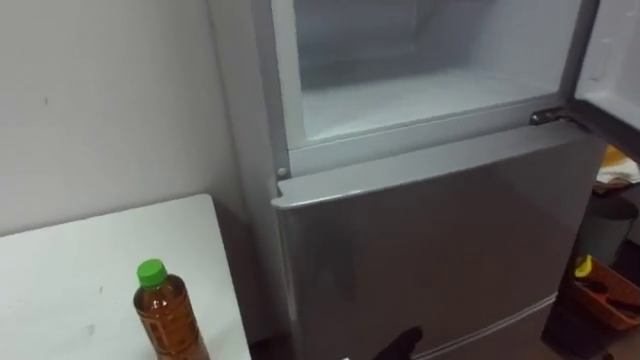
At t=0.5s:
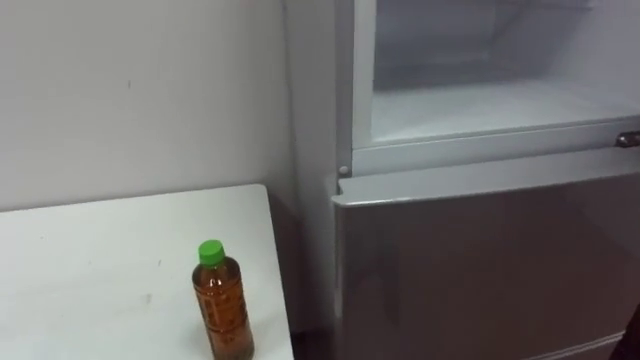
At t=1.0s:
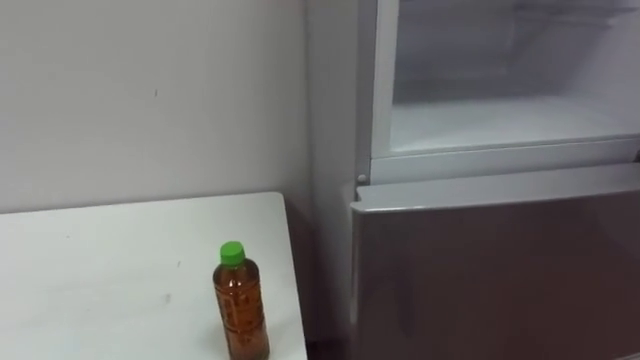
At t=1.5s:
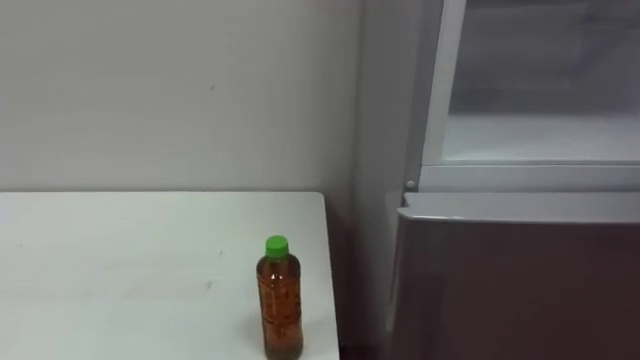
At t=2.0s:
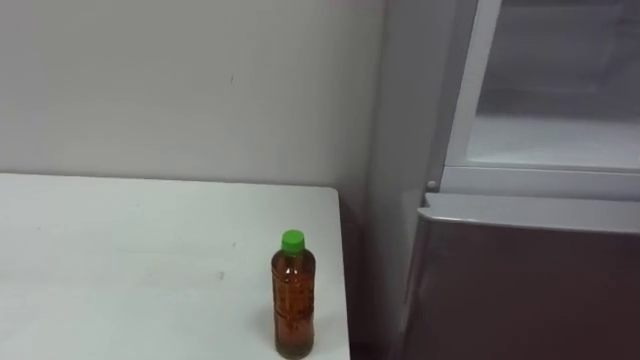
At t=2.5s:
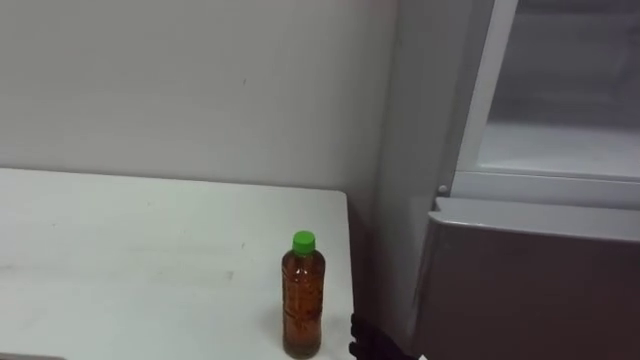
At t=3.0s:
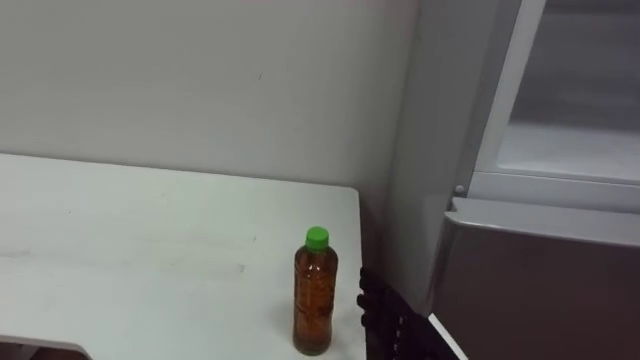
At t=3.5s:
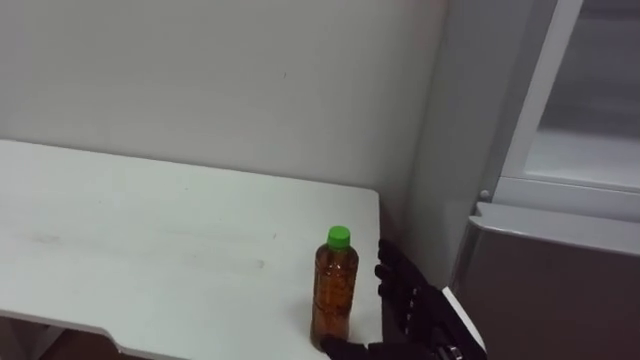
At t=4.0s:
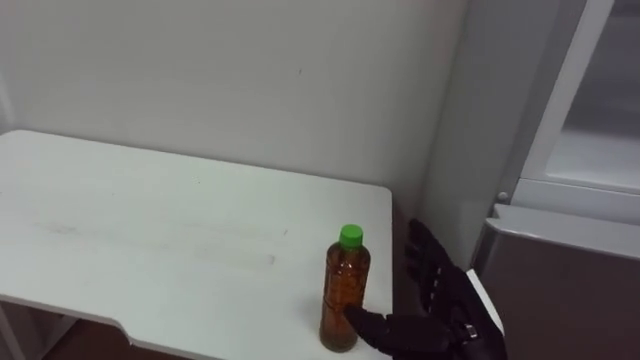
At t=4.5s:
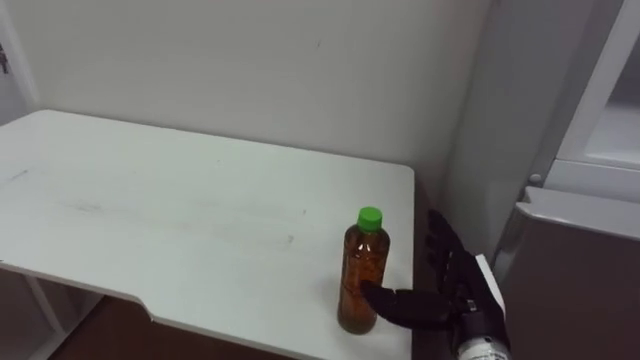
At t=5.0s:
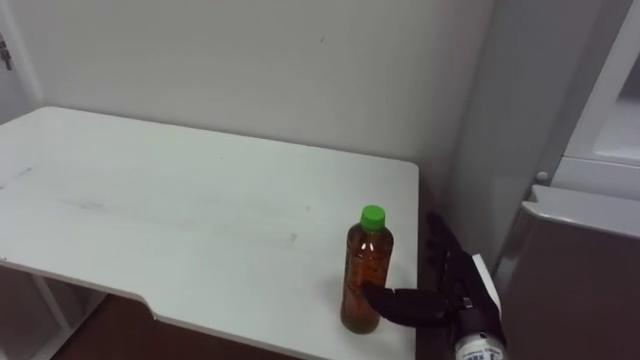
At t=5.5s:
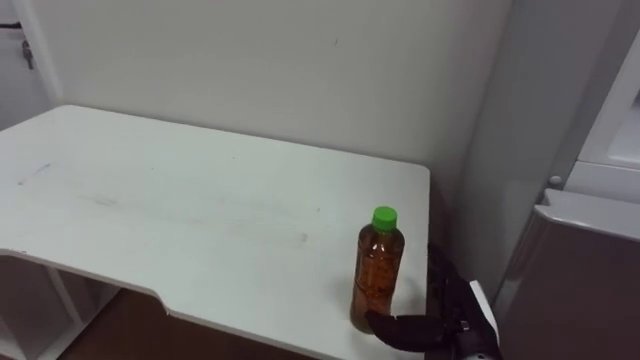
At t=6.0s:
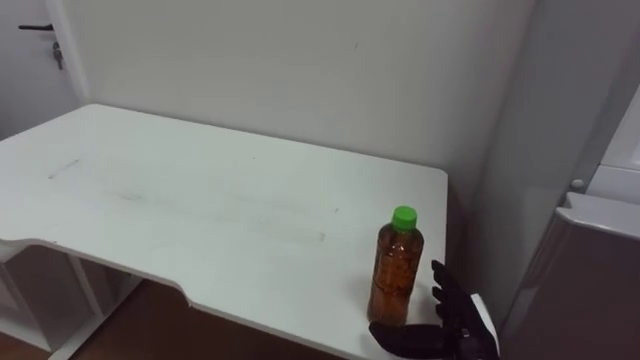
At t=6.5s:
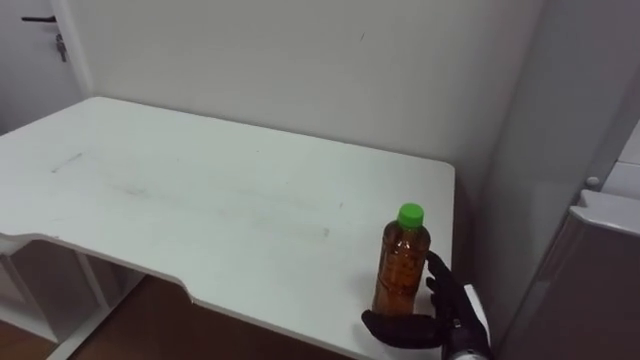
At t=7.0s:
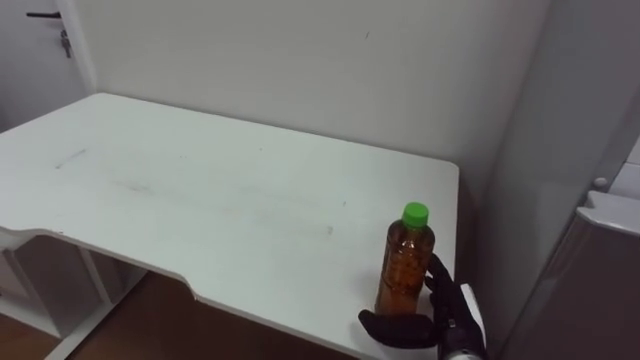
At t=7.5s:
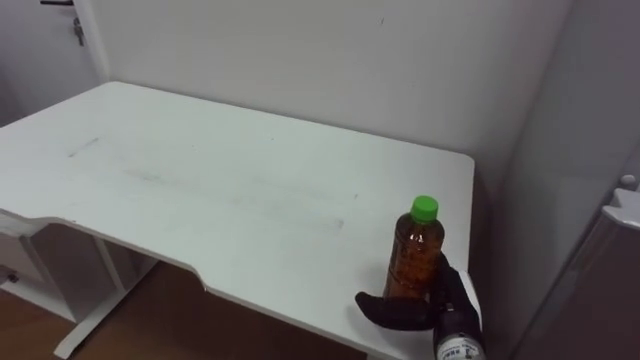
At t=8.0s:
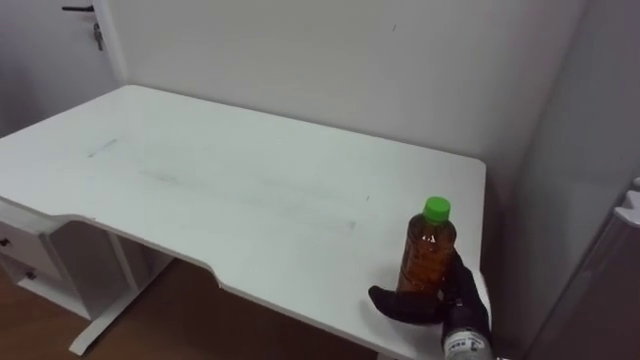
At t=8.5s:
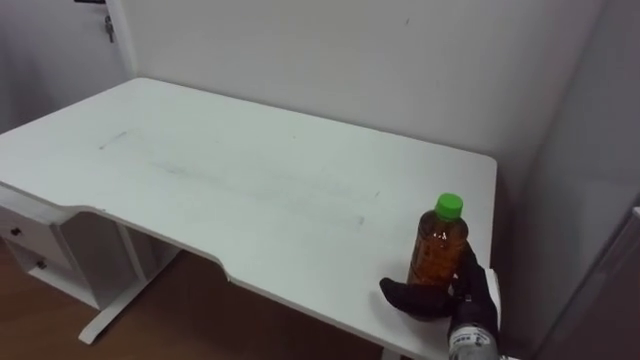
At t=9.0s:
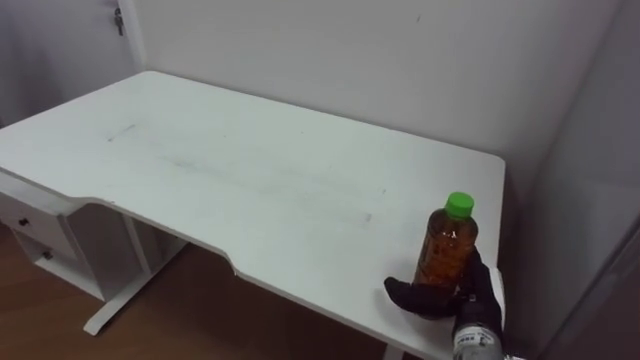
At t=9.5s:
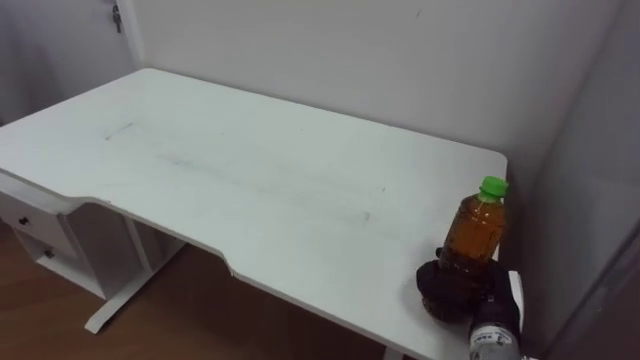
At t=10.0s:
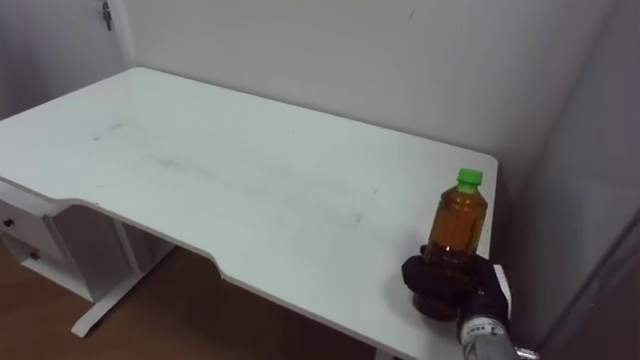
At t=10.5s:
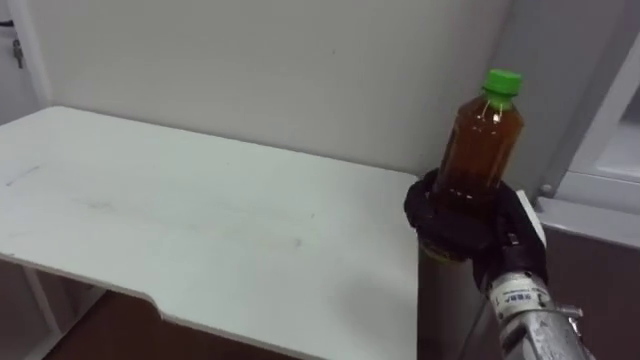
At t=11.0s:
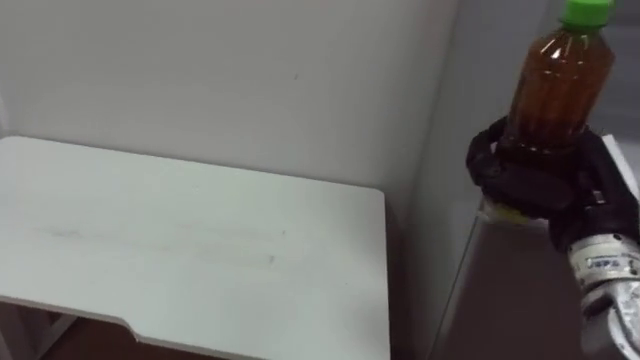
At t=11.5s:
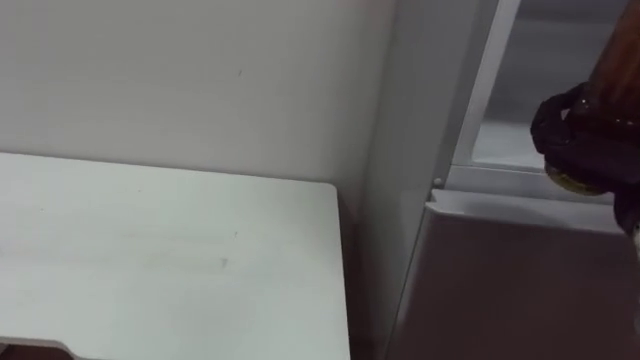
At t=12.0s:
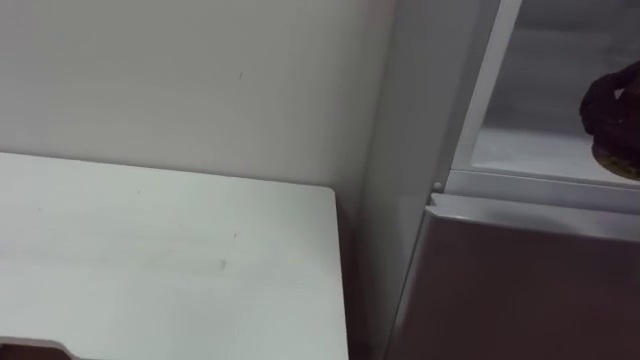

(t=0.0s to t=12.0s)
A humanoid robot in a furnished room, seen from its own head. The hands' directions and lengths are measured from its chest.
Task of the whole recording: Open the upper refrigerator door, put the drink from the table into the refrigerator, and then close the refrigerator door.
t=4.0s - t=6.0s: The right hand shifts approximately 5 cm downward.
t=8.0s - t=10.0s: The right hand closes its fingers.

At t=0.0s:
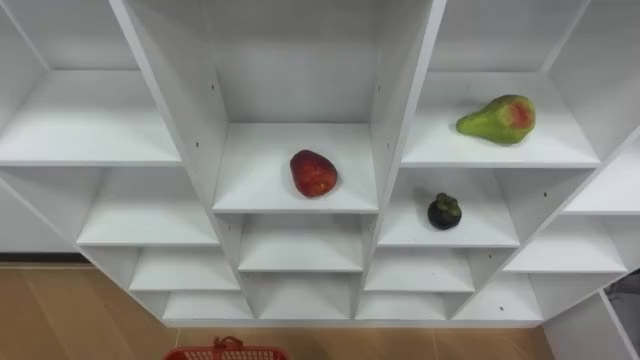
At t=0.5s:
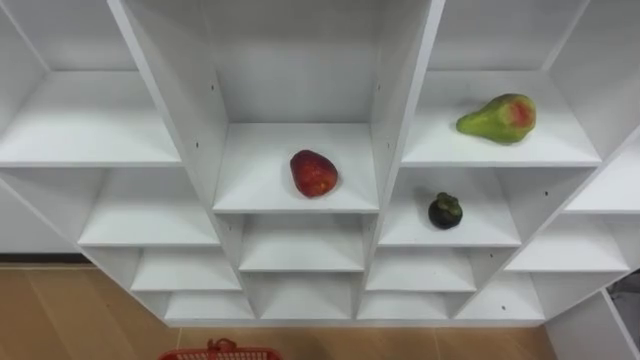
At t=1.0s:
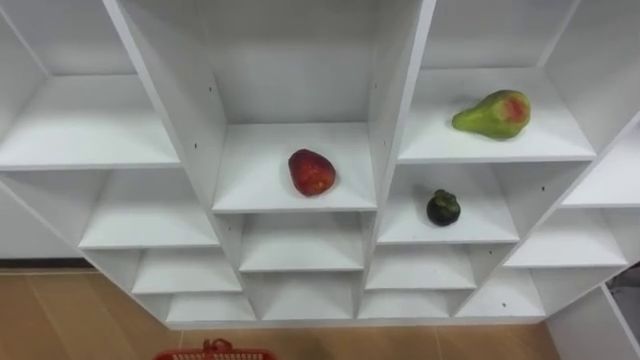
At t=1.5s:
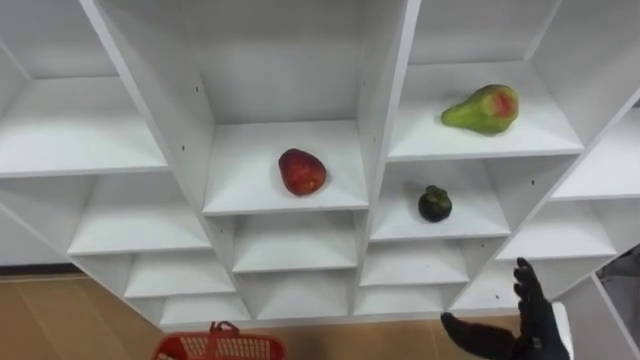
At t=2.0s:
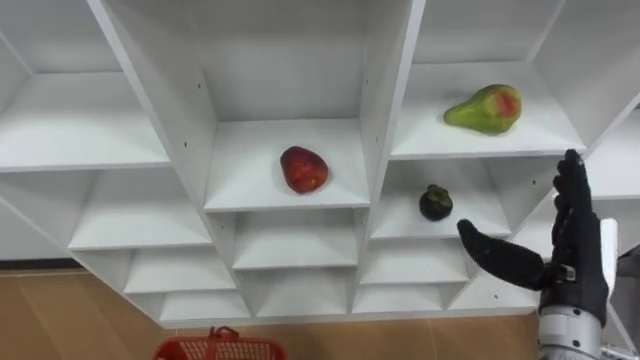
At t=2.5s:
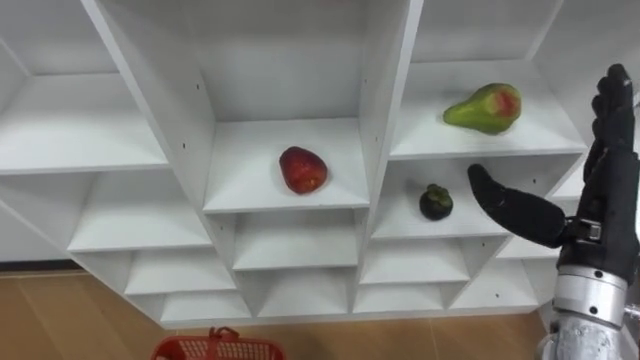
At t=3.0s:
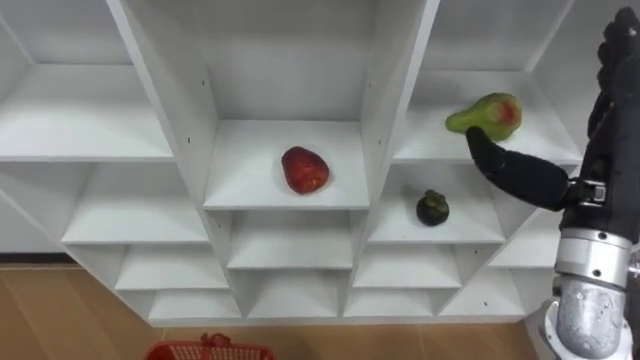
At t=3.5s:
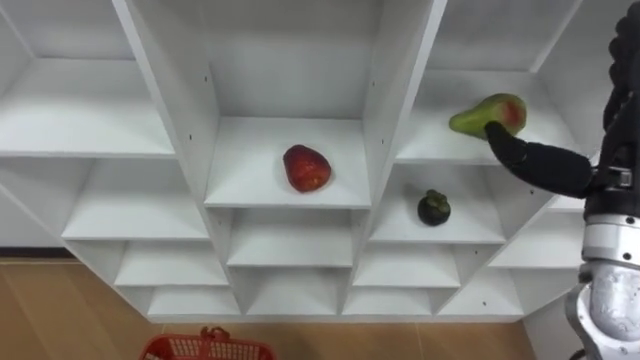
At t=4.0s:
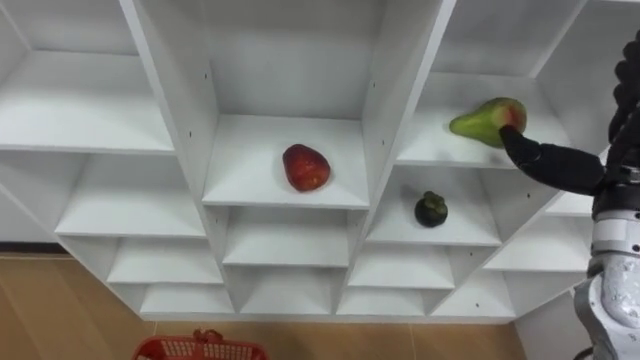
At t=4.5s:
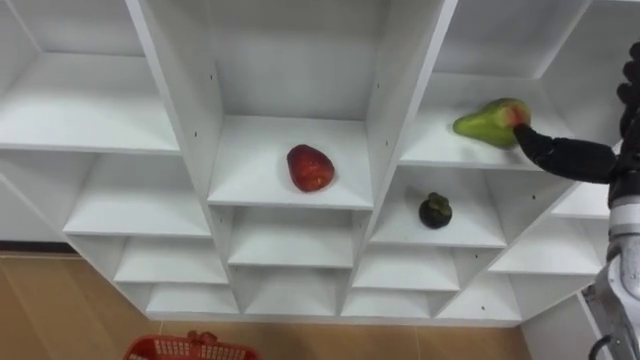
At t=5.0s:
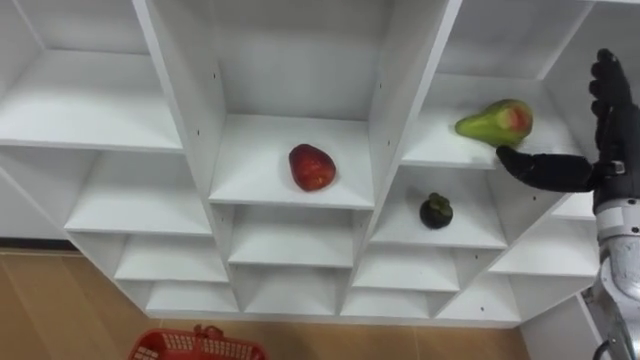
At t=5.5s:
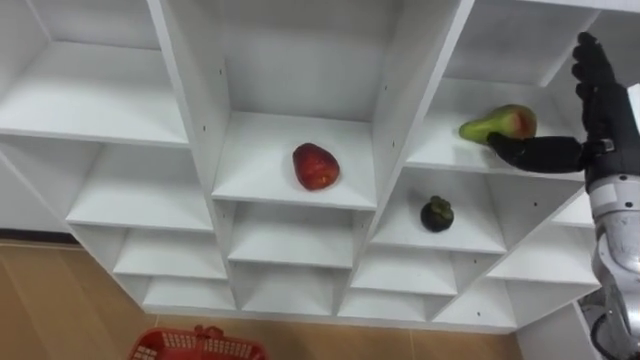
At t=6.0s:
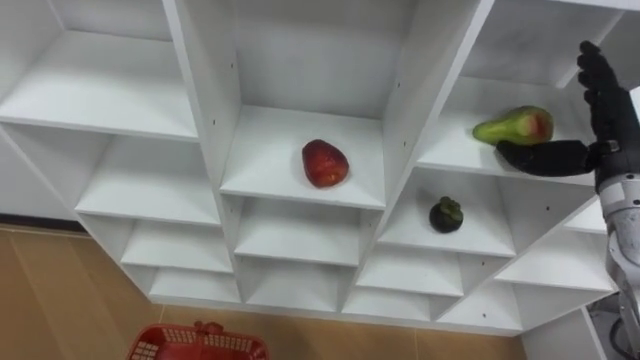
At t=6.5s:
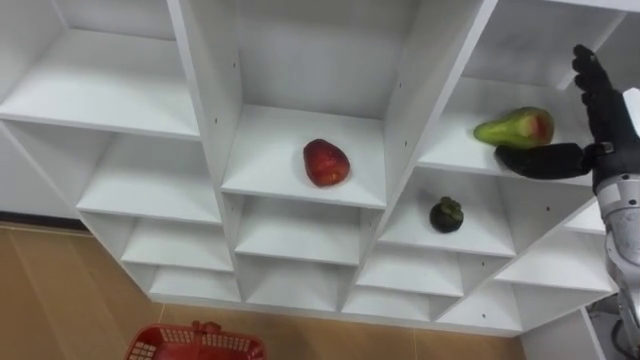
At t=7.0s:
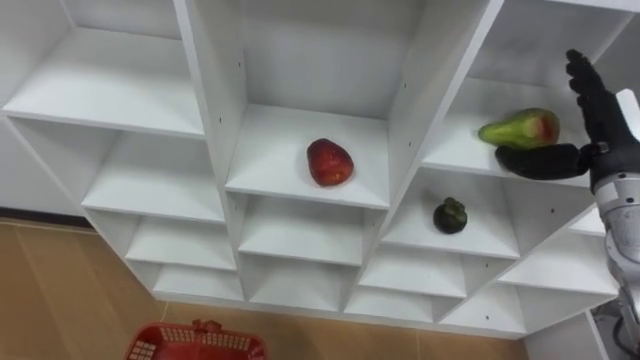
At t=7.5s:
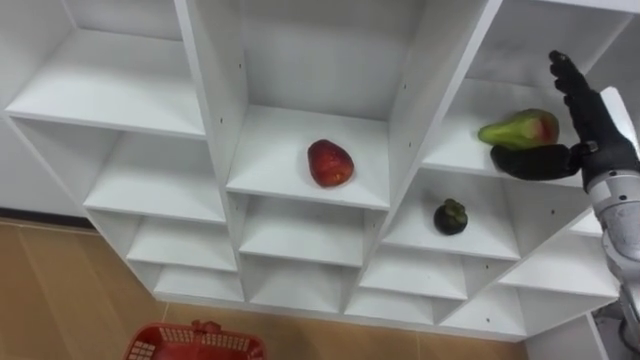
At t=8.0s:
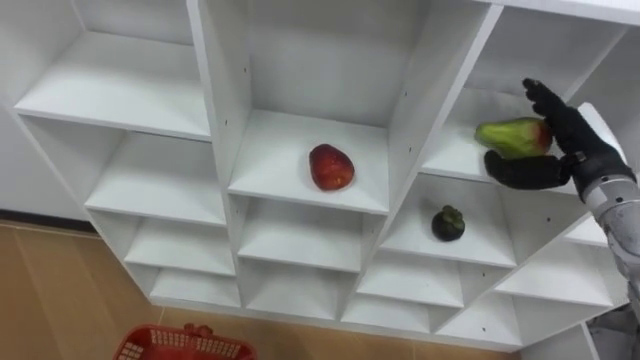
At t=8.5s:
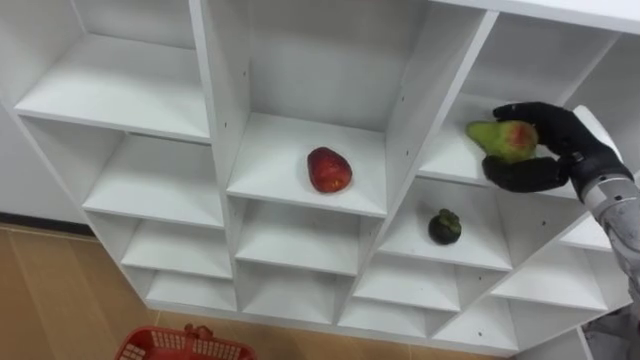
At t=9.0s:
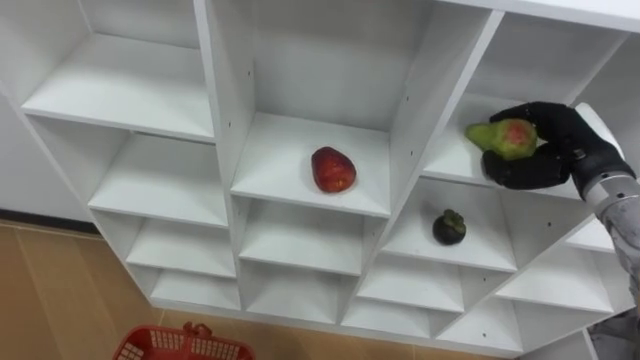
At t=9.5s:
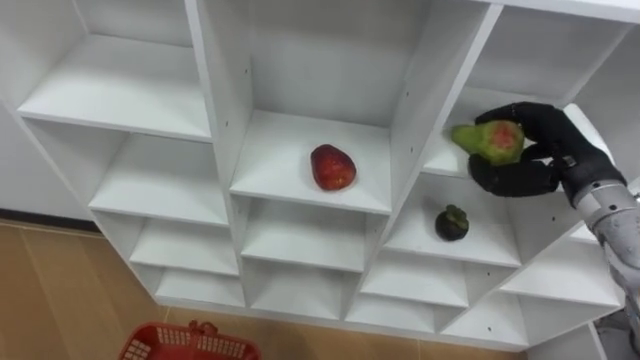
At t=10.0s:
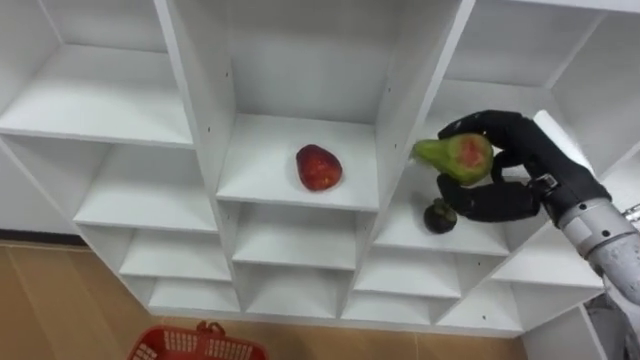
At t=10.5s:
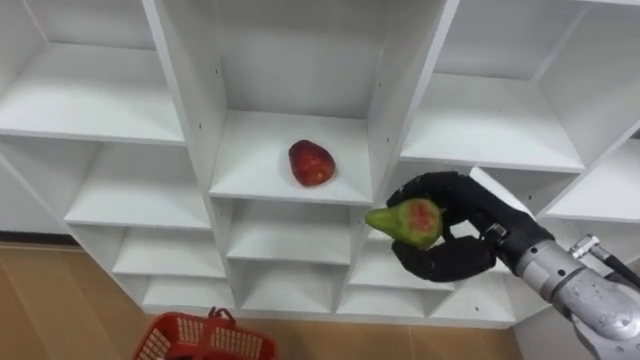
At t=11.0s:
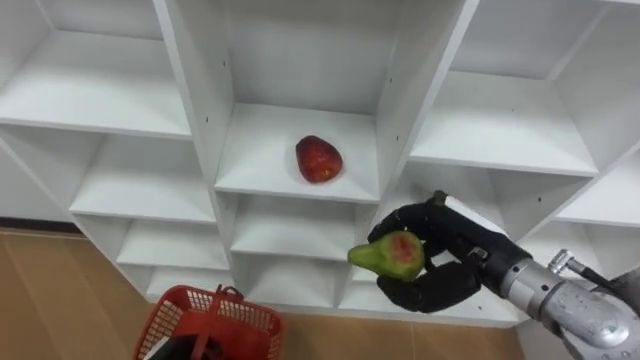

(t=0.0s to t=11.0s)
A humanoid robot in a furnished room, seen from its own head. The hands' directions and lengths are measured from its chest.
Task of the whole recording: Hold the basket and collect the fruits from 3 different cells of the closet into it.
t=2.0s - t=3.5s: The right hand travels upward and forward by approximately 10 cm.
t=3.5s - t=5.5s: The right hand is displaced forward by some 5 cm.
t=7.5s - t=9.0s: The right hand closes its fingers.
t=9.0s - t=11.0s: The right hand is displaced to the left and backward by about 15 cm.
